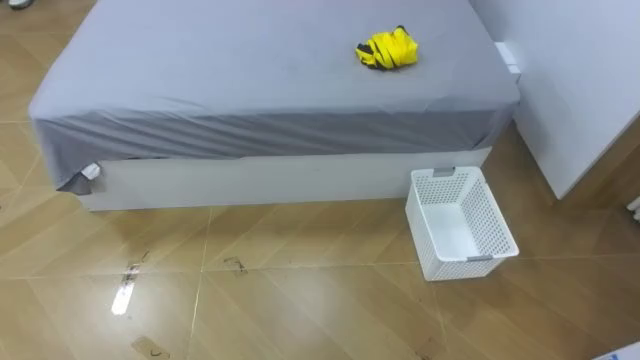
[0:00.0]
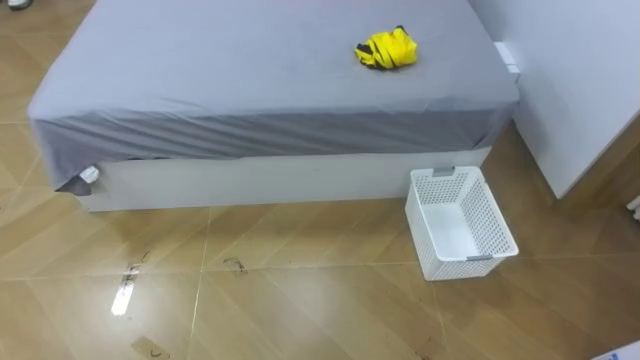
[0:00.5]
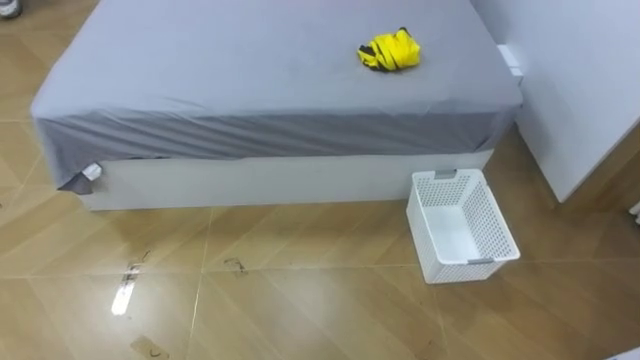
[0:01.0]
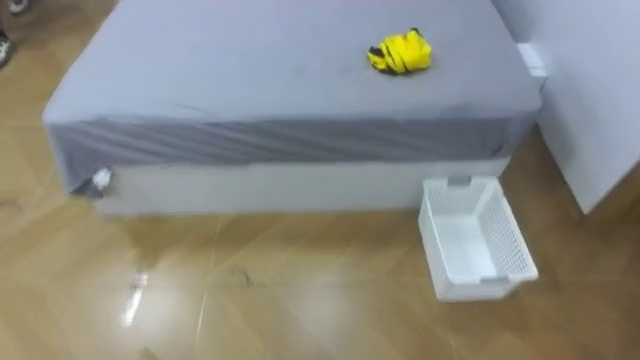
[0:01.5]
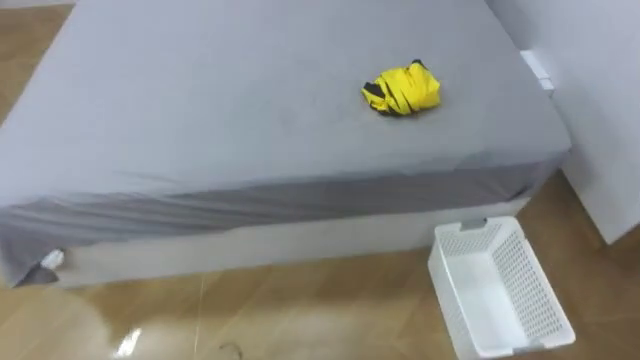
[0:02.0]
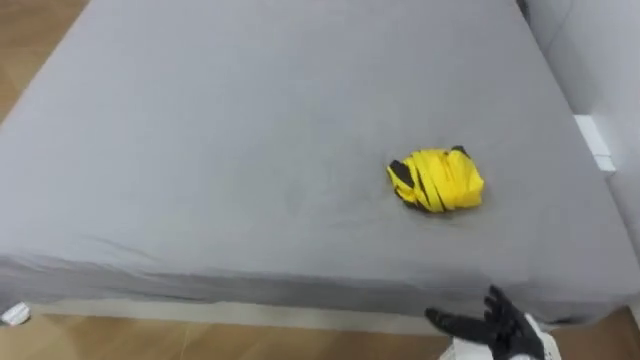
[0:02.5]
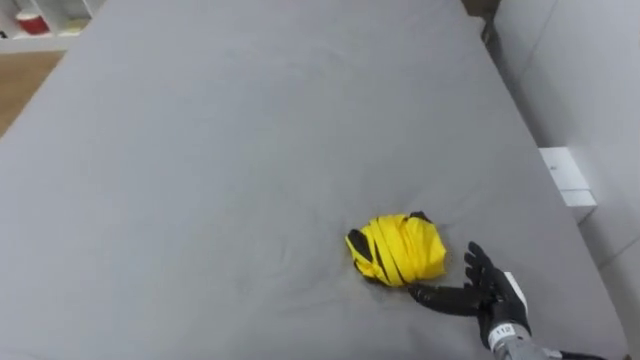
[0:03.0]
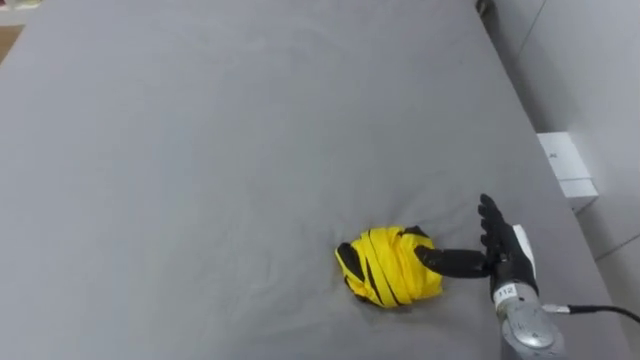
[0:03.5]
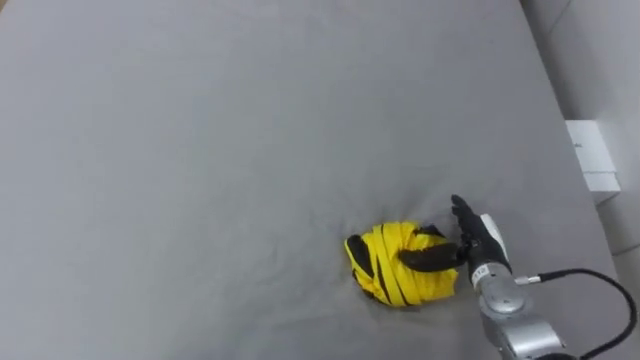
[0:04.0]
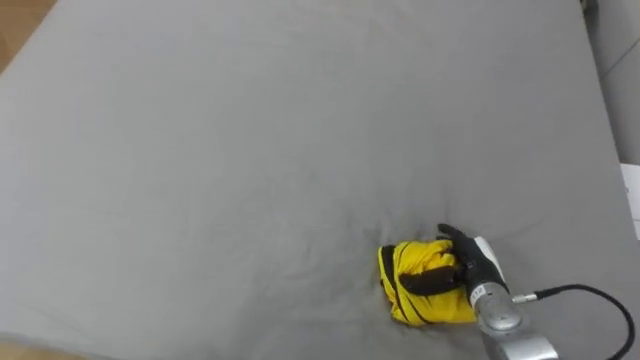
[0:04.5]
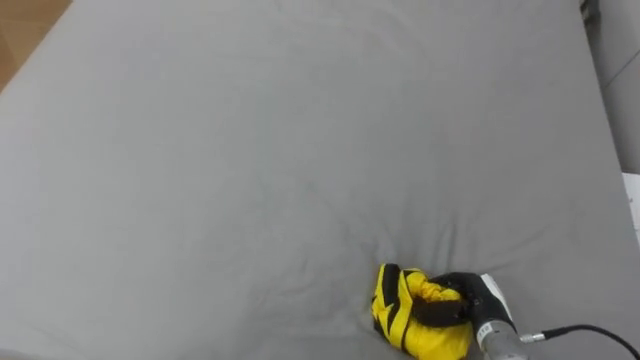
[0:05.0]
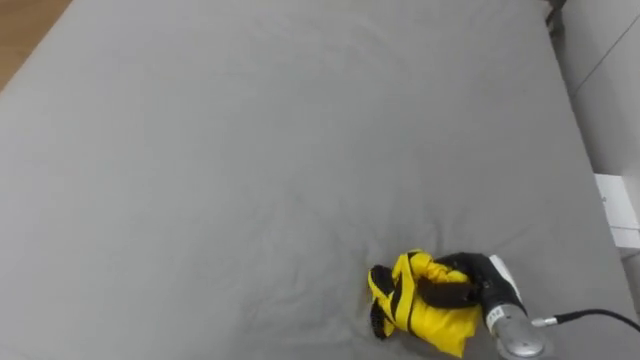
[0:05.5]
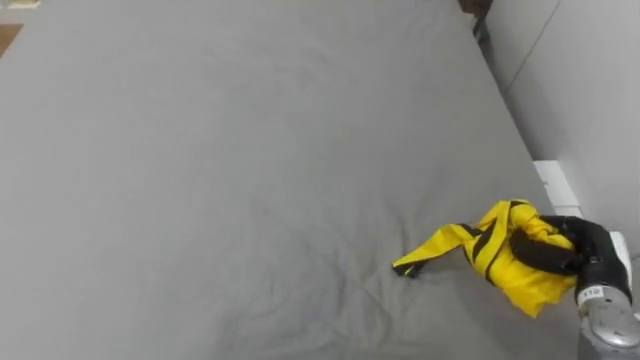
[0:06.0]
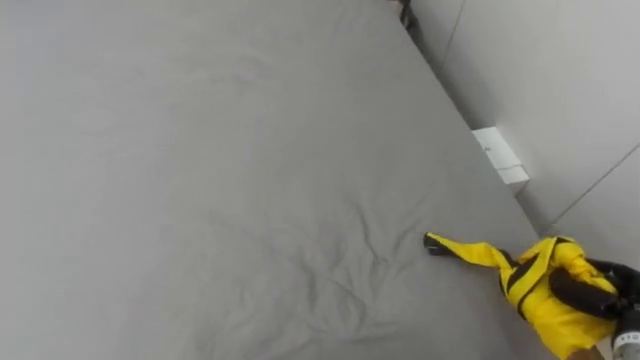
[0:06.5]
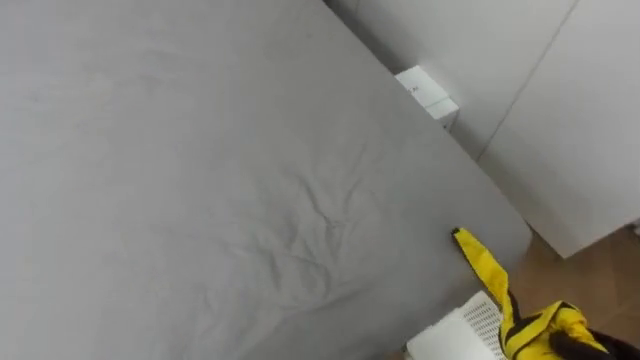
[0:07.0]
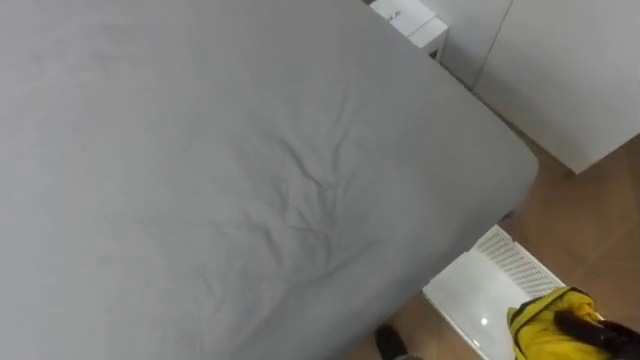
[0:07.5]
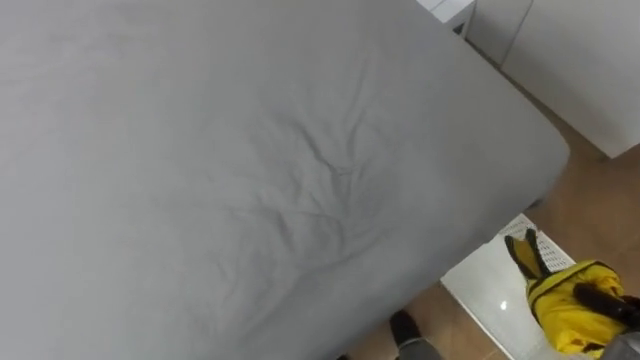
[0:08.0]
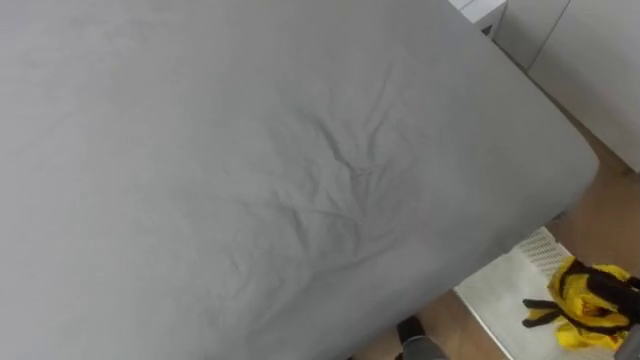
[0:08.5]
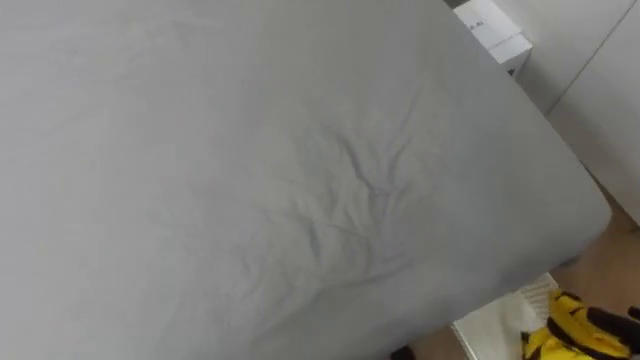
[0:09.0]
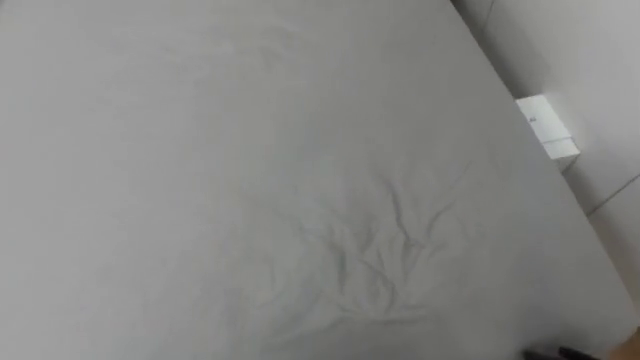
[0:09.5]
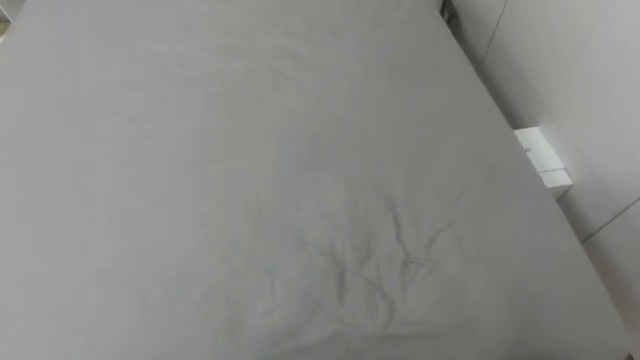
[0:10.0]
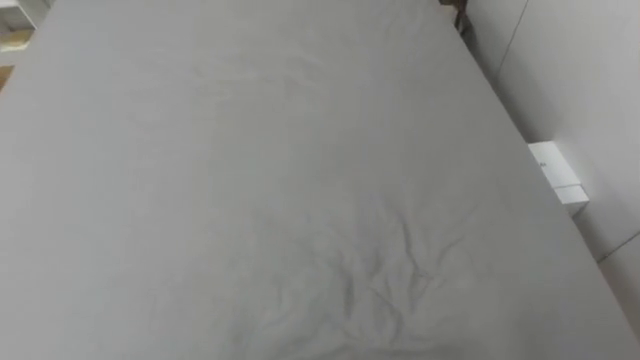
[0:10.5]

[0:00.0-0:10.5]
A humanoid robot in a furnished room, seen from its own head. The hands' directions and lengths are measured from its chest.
Task of the whole recording: Pick up the yellow clothes on the bed and place them into the white basket on the right.
0:04.0 to 0:06.5: The right hand is displaced to the right and backward by some 20 cm, and closes.

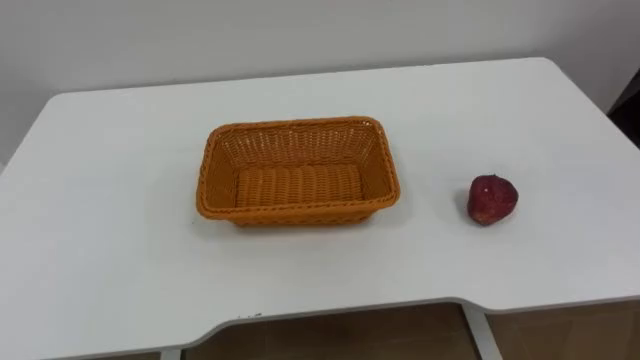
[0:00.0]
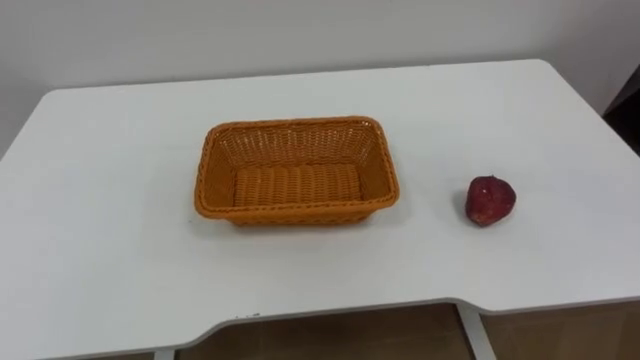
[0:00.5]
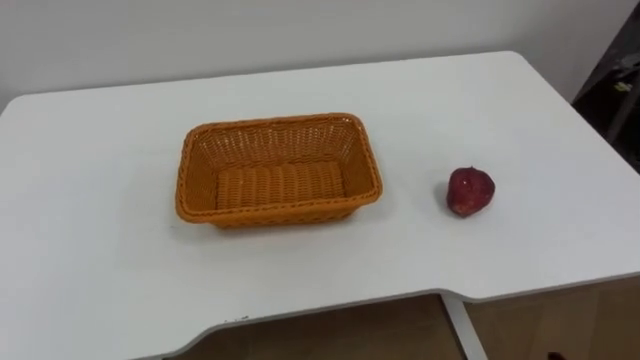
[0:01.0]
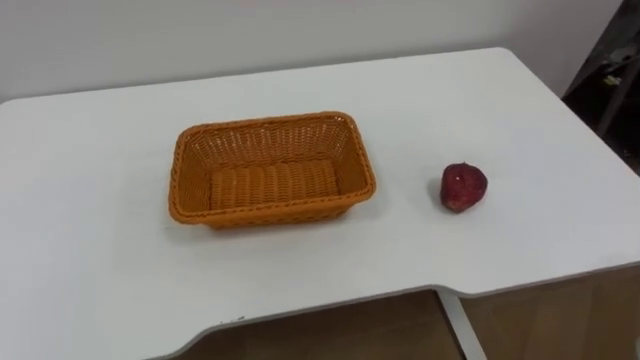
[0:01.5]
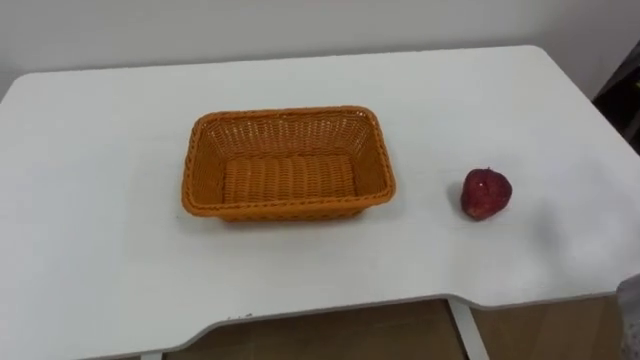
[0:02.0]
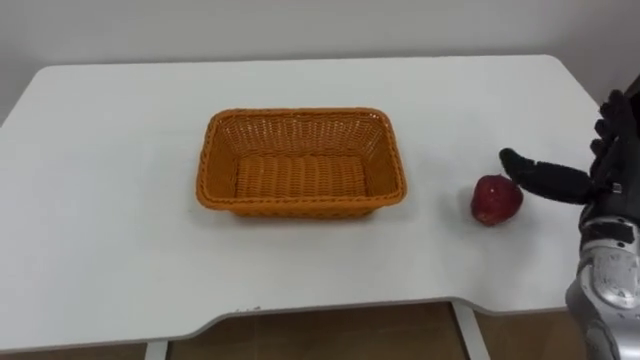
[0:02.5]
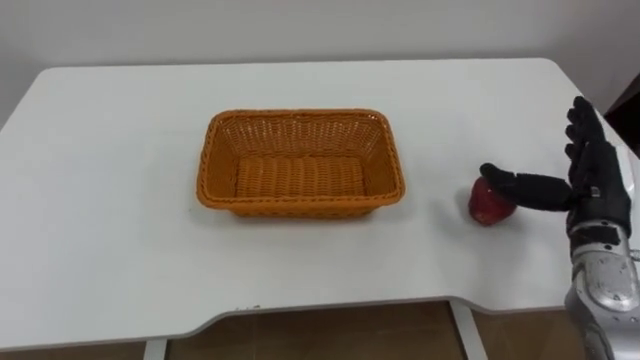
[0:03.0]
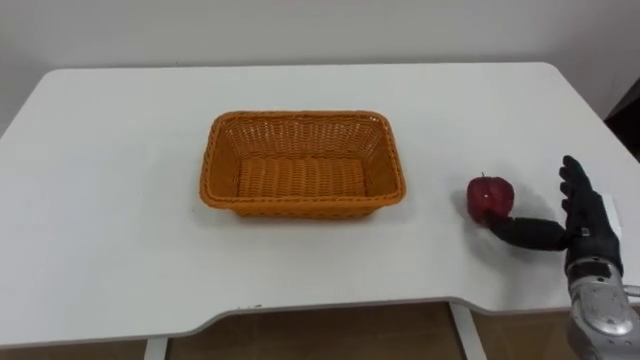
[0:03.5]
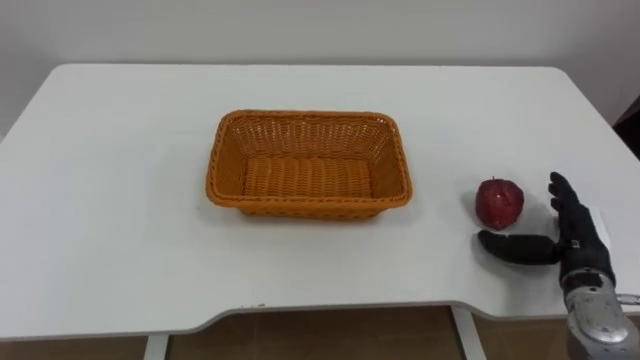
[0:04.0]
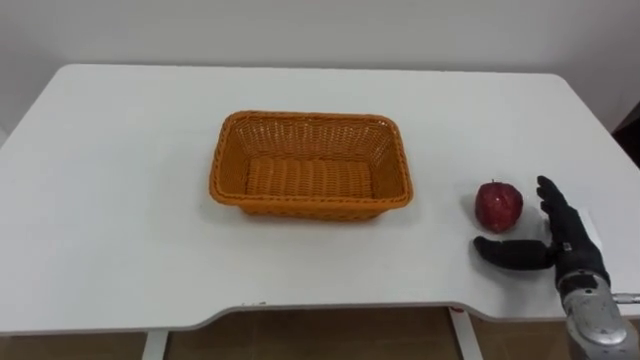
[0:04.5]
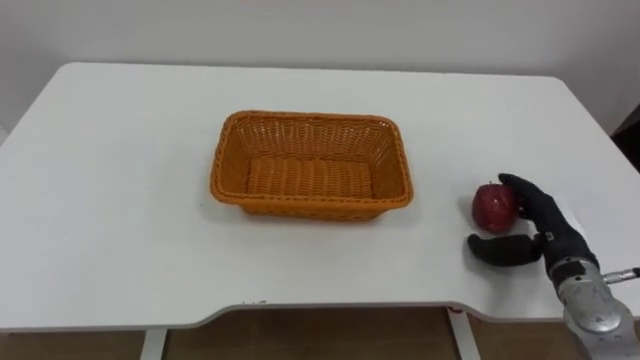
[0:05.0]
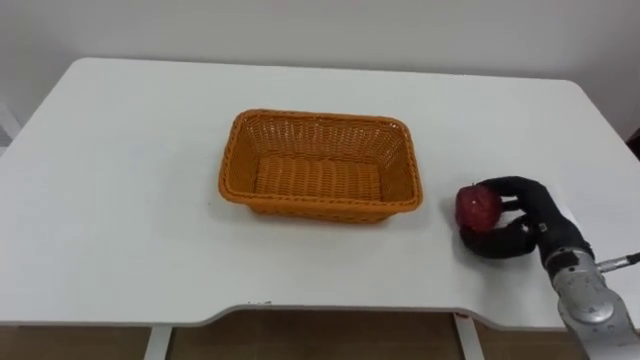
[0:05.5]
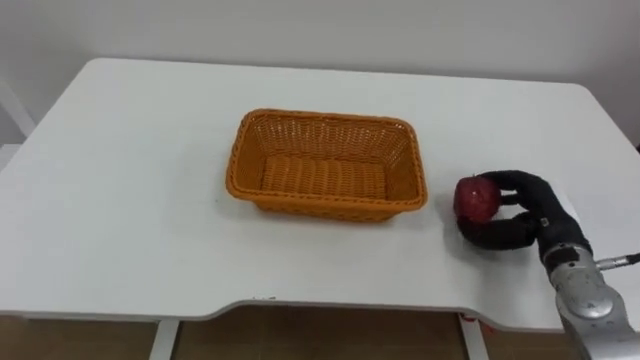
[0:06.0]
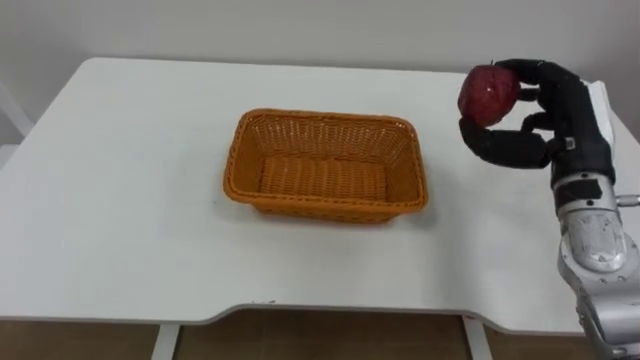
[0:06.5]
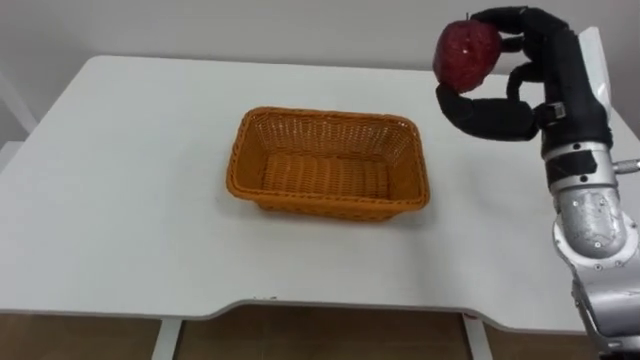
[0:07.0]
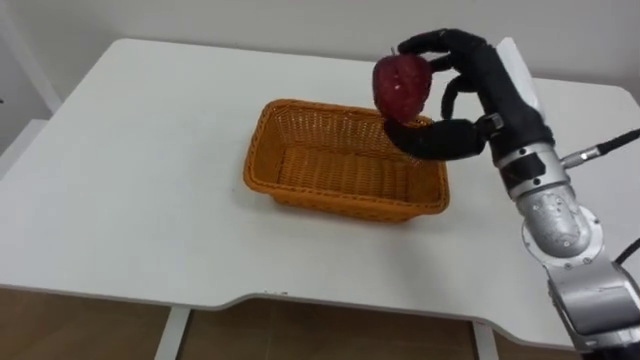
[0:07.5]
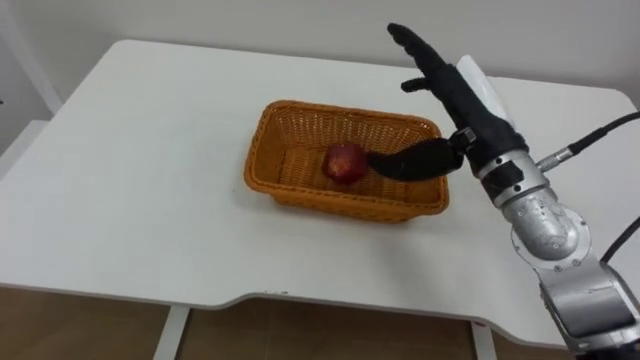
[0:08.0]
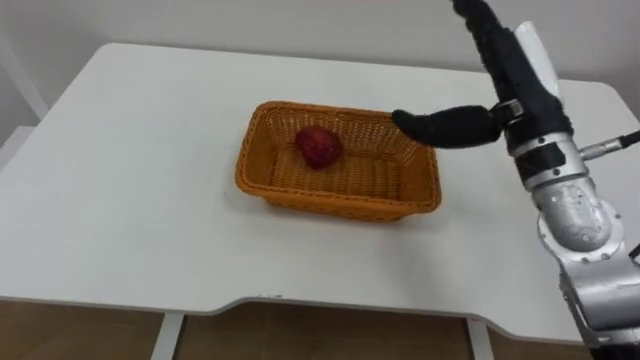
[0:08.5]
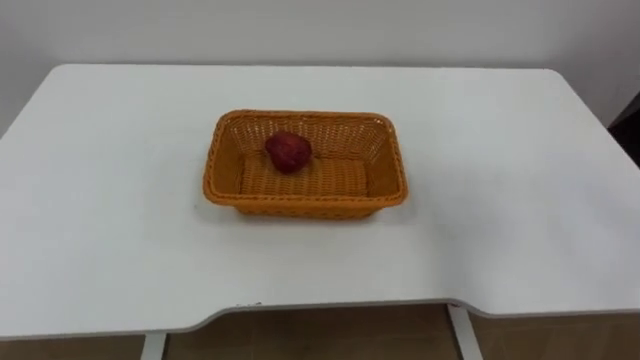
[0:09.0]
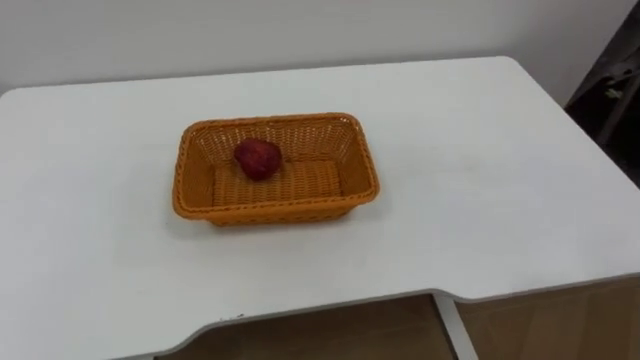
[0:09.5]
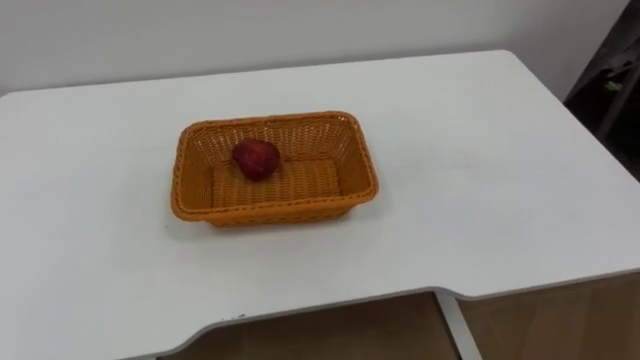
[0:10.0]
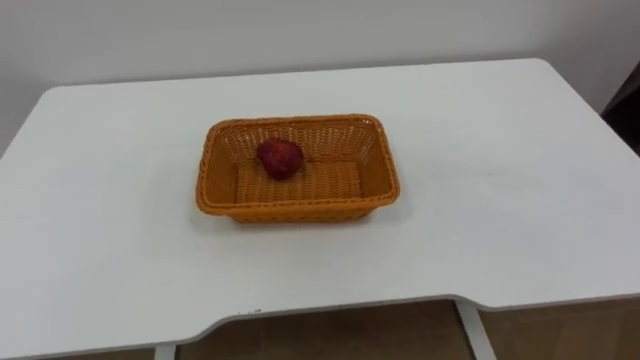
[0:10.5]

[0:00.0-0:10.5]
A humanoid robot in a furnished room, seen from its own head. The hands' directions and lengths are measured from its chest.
Task of the whole recording: Pick the apple and place it in the box.
0:04.0 to 0:06.5: The right hand heads upward and forward, covering about 15 cm, and closes.
0:06.5 to 0:08.5: The right hand is displaced to the left and upward by about 10 cm, and opens.
